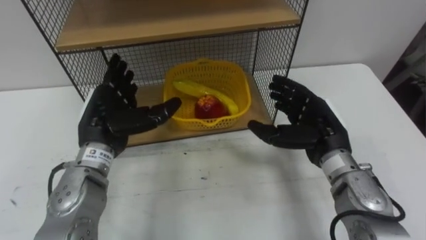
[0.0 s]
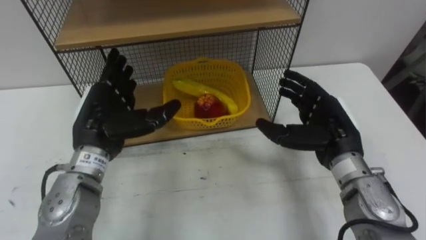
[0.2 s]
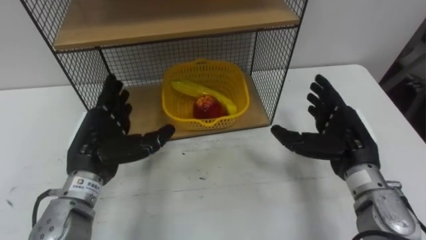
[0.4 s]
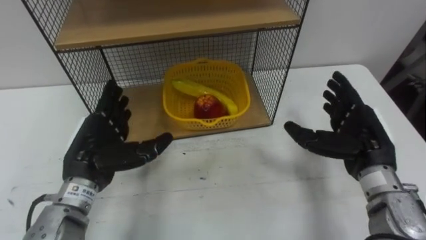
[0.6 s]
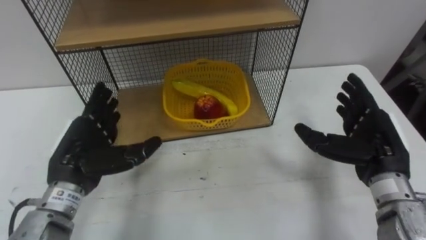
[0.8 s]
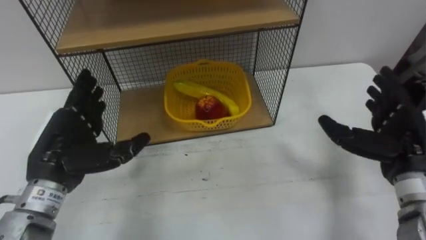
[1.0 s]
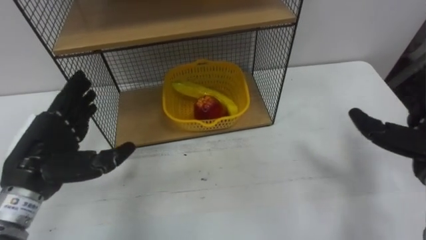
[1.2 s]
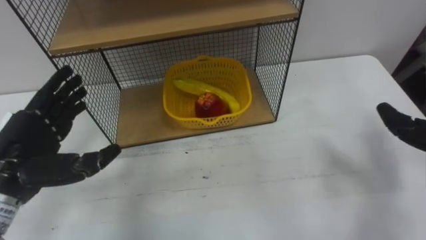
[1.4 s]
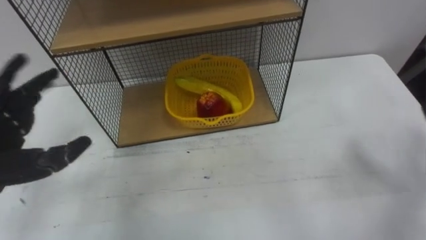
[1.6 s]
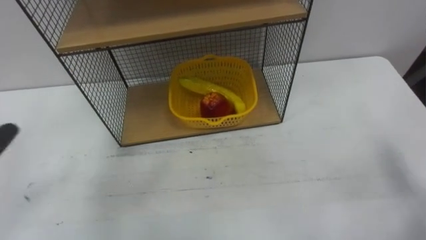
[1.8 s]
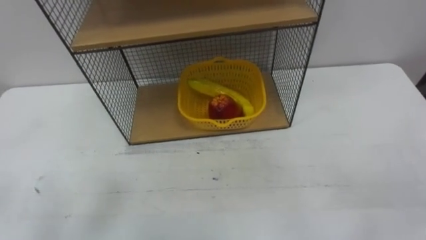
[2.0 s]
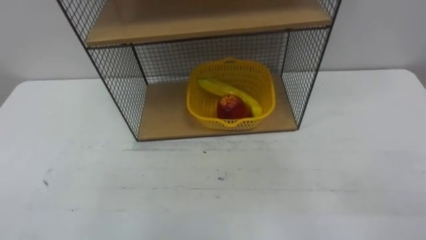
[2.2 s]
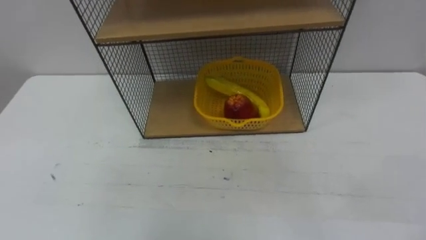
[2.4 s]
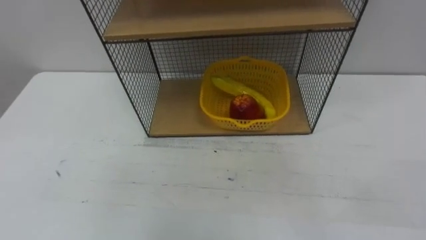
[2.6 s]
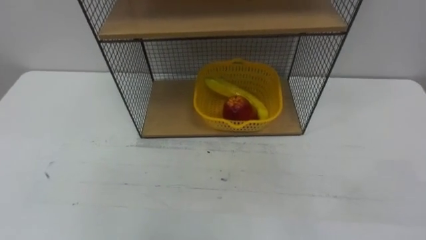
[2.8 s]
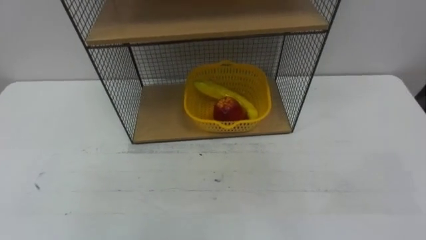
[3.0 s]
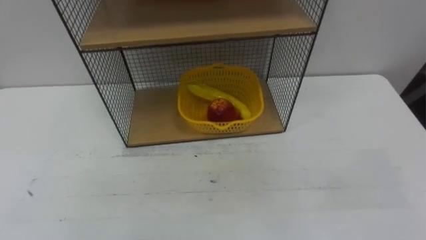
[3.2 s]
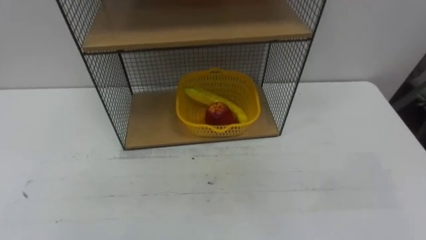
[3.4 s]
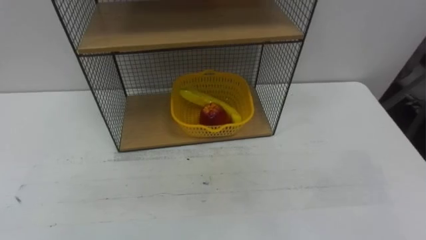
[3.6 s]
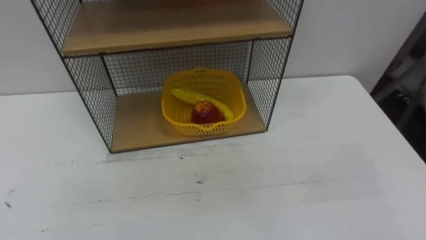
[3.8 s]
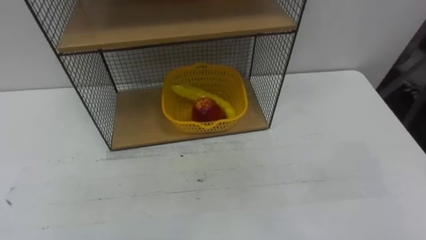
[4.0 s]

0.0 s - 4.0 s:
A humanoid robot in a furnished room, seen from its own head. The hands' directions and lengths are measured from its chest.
Task of the whole recording: Put the fruit on the table into the basket, then place the basket on the shelf.
0.0 s - 1.4 s: The left hand travels to the left and backward by about 10 cm.

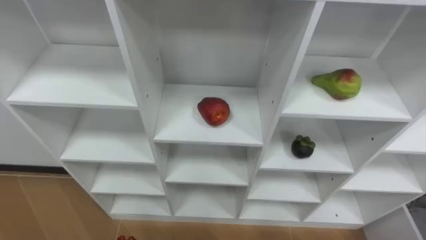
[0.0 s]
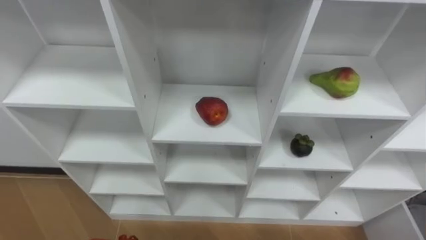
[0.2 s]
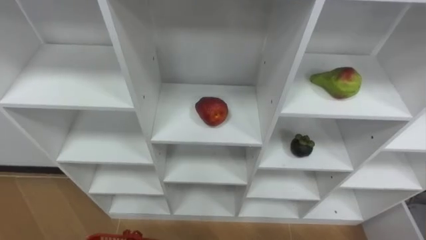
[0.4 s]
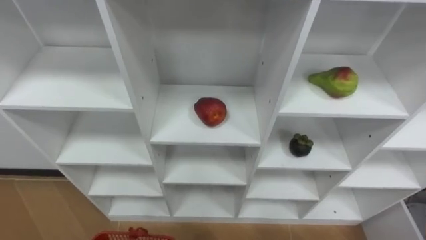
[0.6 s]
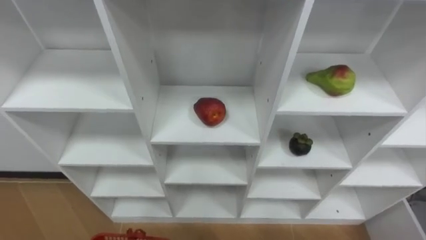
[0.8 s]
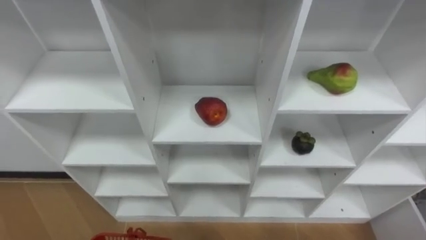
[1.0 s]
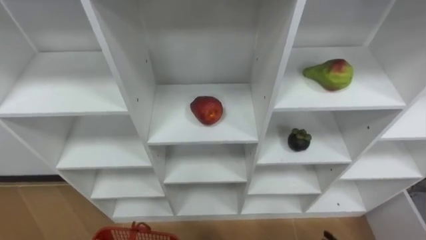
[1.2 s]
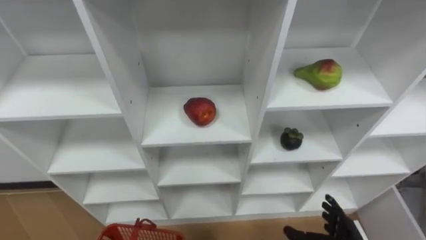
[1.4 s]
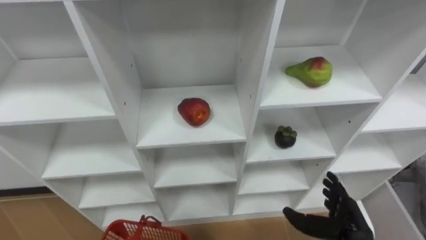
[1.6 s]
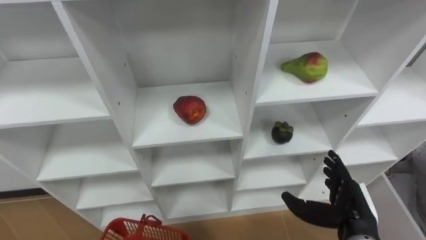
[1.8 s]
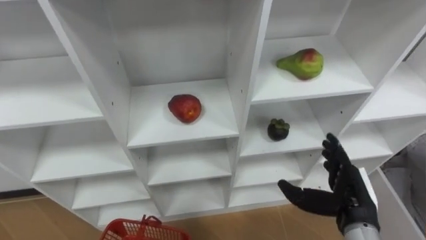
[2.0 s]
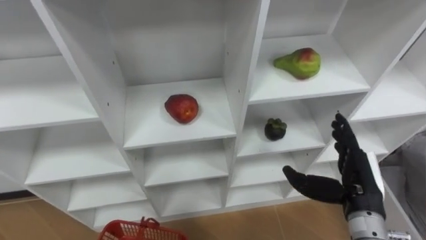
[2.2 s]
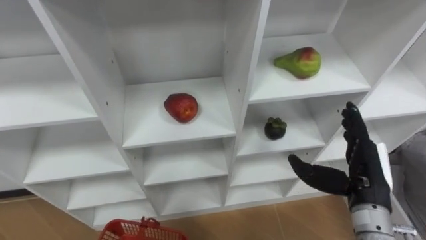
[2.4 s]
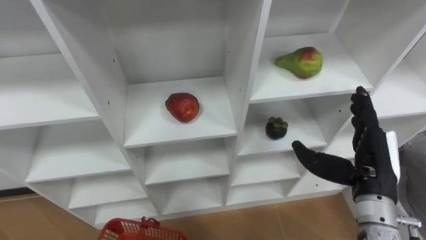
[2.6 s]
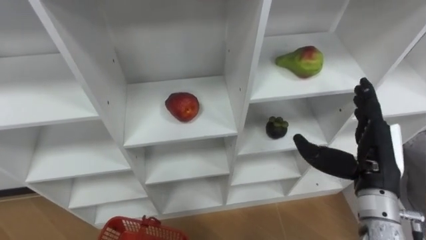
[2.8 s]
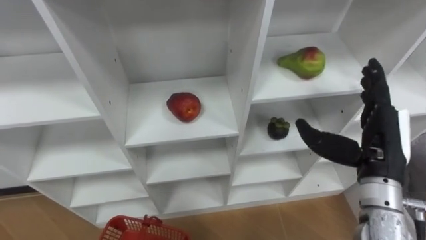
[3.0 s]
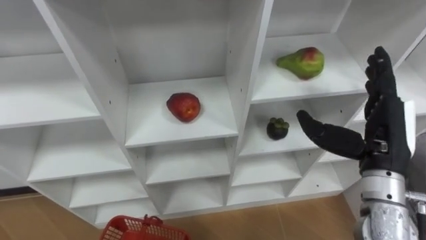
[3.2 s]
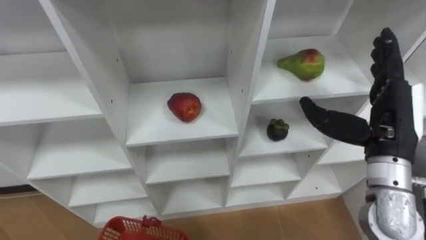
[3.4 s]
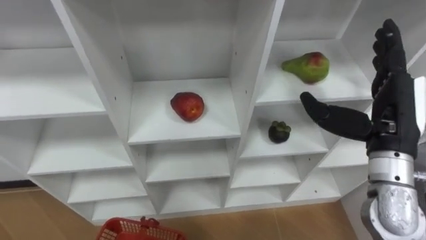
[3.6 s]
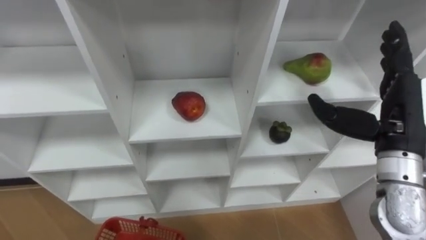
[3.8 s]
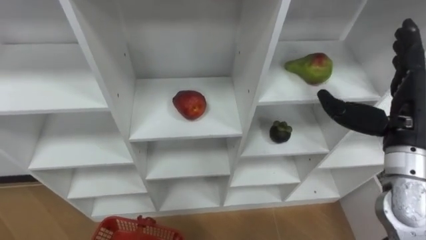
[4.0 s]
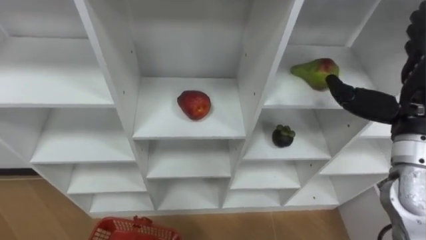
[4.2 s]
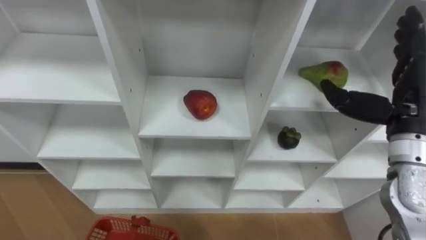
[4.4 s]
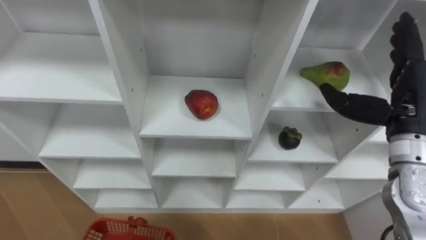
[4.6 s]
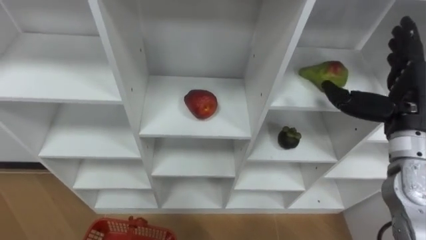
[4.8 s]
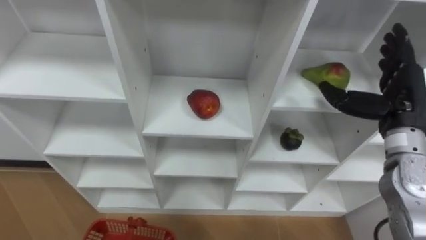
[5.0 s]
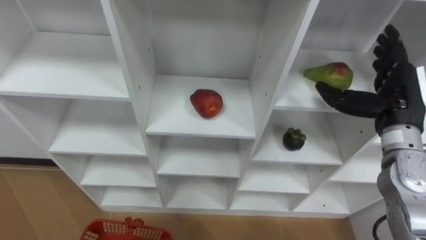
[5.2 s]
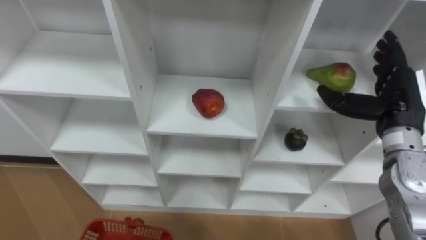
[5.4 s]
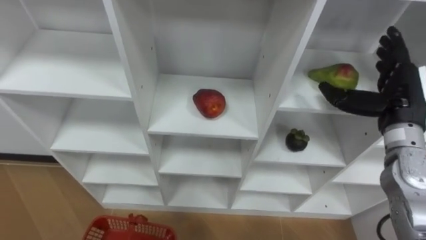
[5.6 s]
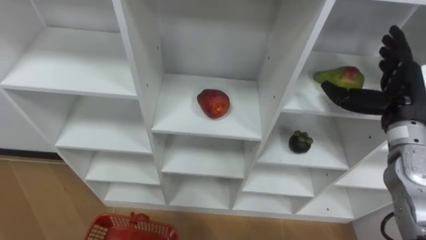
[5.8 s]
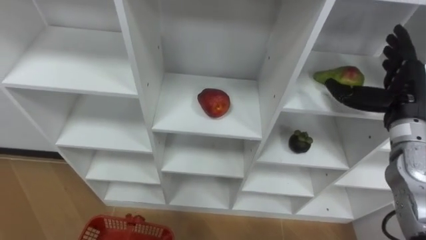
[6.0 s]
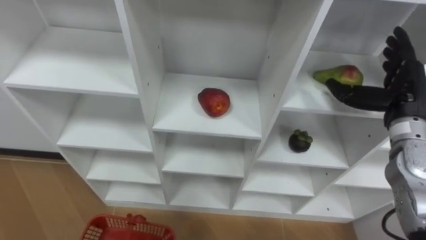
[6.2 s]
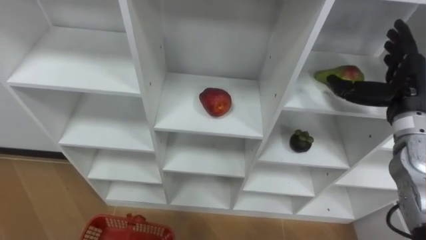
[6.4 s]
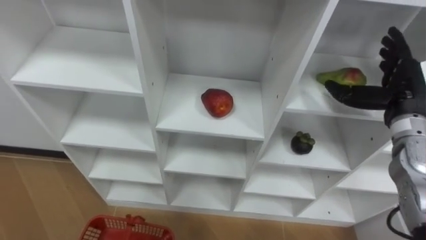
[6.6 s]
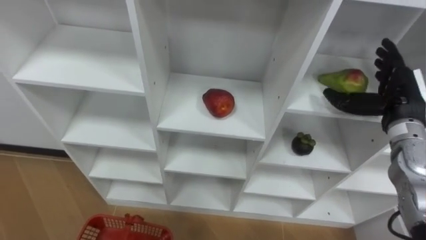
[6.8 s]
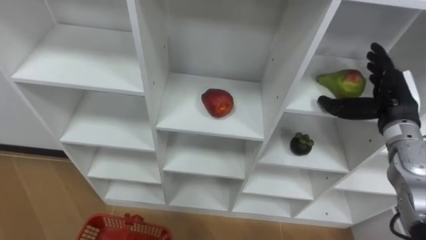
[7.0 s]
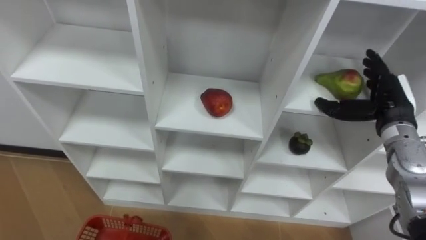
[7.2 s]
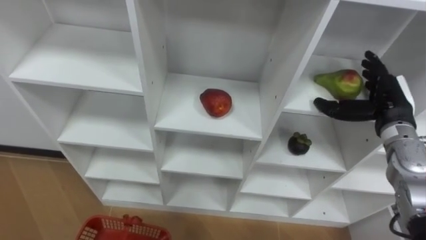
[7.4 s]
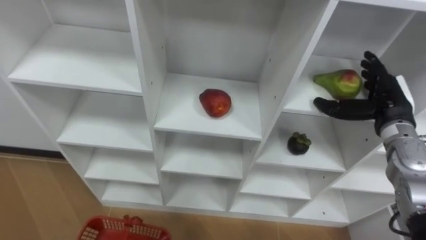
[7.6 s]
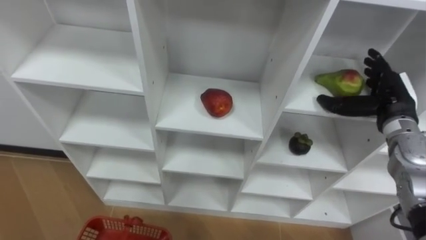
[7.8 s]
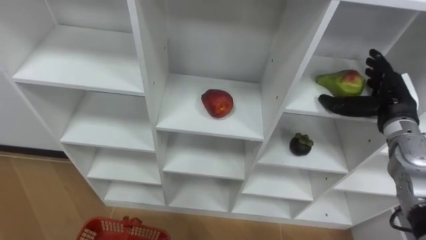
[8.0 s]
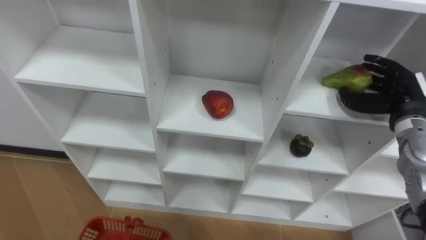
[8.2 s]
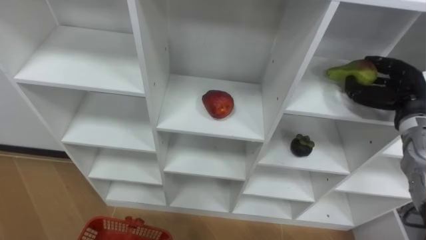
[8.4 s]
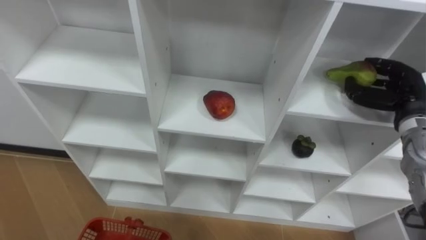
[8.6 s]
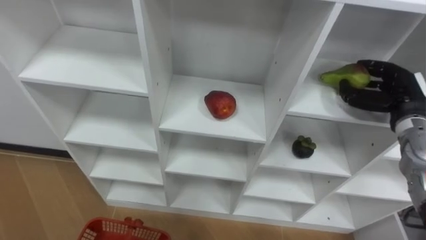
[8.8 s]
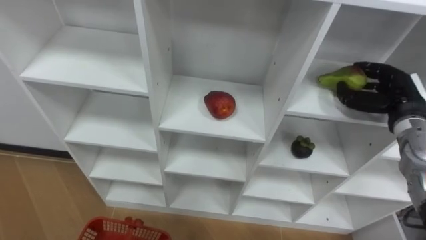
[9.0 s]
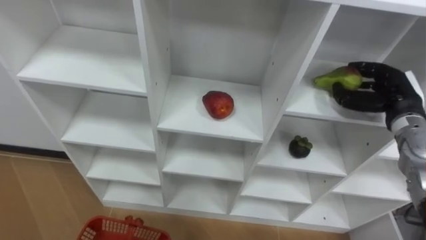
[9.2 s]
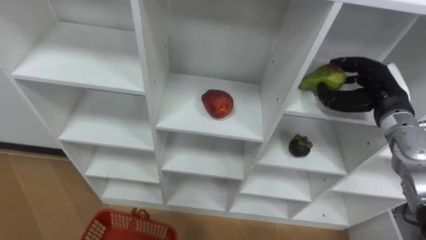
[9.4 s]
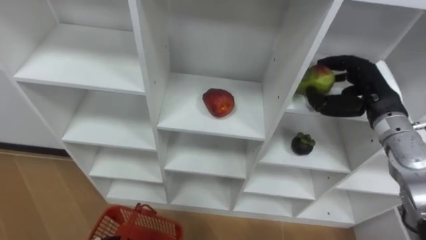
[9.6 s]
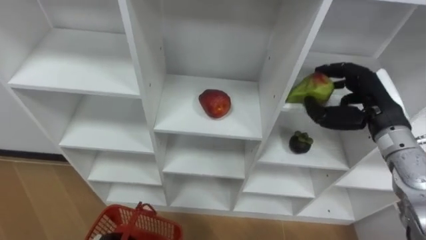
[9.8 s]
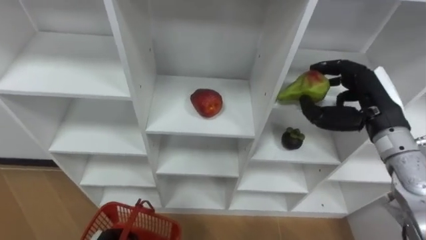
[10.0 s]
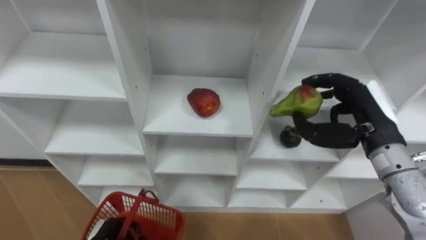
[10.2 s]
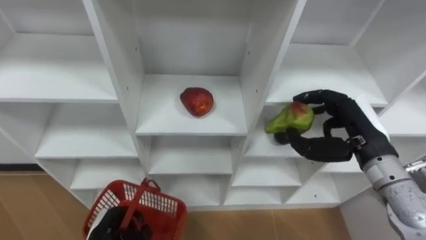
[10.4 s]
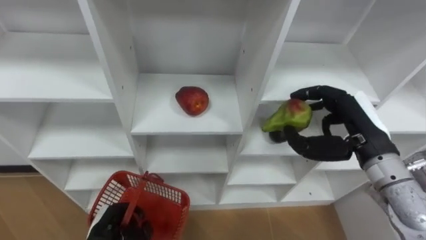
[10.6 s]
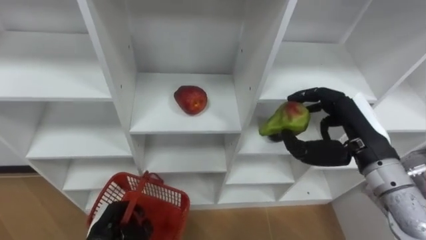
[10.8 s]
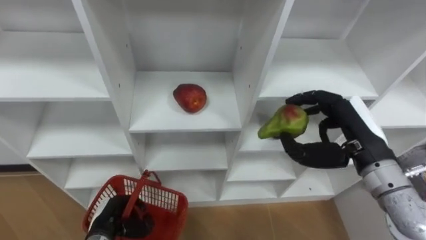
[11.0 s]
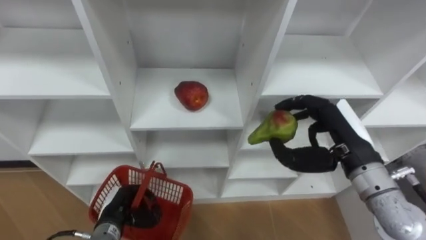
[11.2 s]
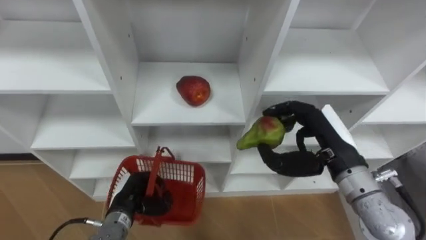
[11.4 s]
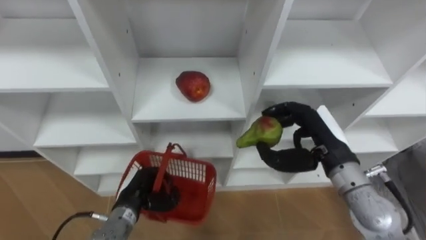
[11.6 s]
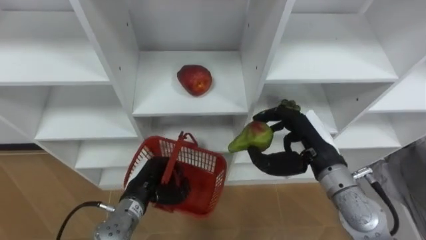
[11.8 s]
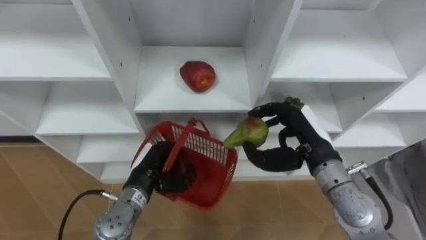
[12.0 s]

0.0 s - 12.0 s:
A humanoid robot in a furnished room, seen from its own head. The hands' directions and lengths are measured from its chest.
Task of the whole recording: Hold the basket and collect the fruits from 3 different cells of the closet into it.
1.6 s - 3.0 s: The right hand goes roughly 20 cm upward and forward.
3.0 s - 4.4 s: The right hand goes approximately 5 cm upward.
4.4 s - 6.0 s: The right hand moves about 5 cm.
6.0 s - 7.6 s: The right hand moves some 5 cm.
7.6 s - 9.0 s: The right hand closes its fingers.
9.0 s - 10.4 s: The right hand goes some 10 cm to the left and backward.
10.4 s - 12.0 s: The right hand is displaced to the left by some 10 cm. The left hand heads forward, upward and to the right, covering about 15 cm.

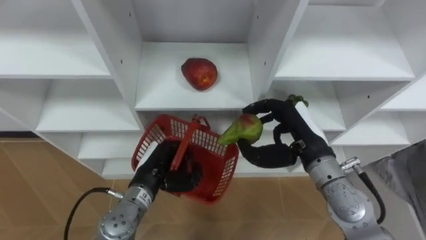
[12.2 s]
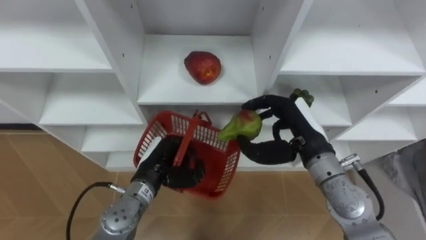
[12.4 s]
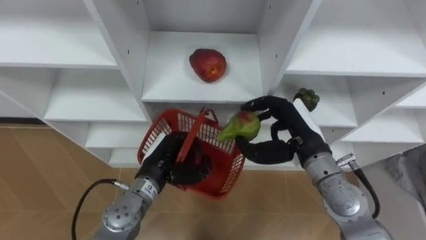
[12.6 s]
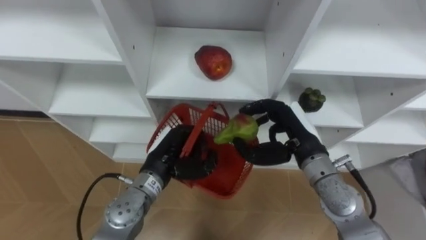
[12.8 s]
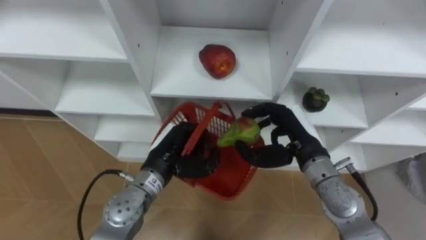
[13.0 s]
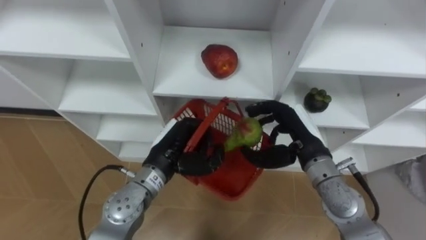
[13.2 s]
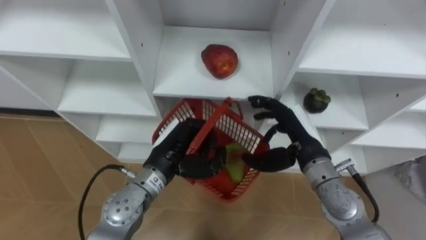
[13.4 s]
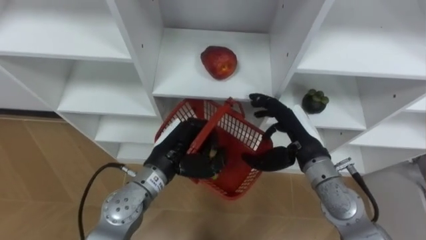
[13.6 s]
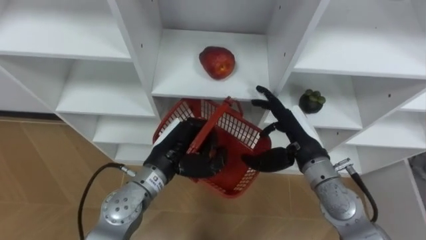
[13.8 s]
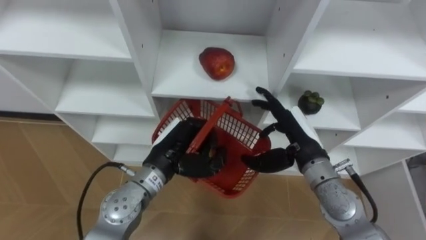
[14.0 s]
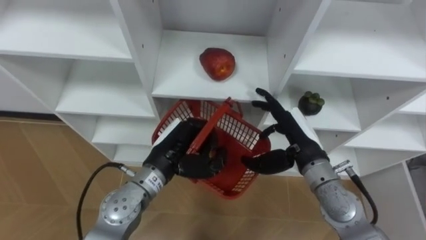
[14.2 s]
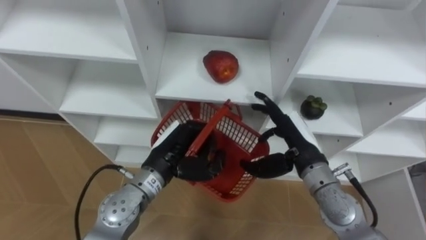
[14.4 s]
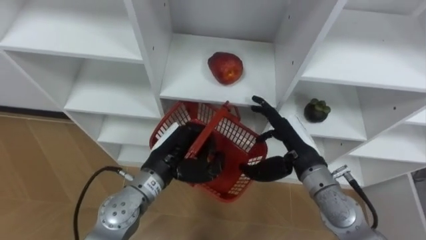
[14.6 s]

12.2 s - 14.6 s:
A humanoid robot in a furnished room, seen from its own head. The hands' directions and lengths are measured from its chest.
Task of the whole recording: Hold the basket and collect the fruits from 3 different cells of the closet into it.
12.2 s - 13.4 s: The left hand is displaced upward by about 5 cm.
